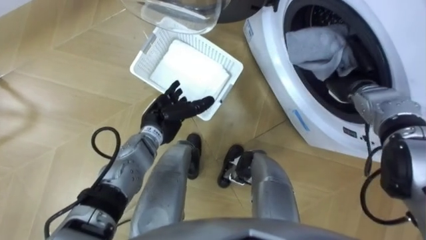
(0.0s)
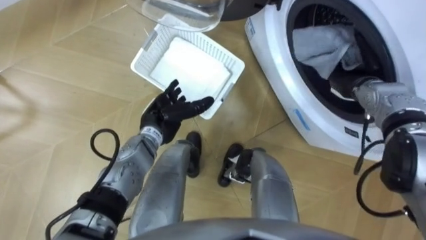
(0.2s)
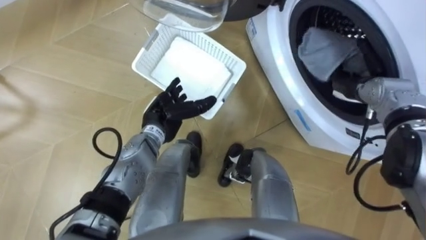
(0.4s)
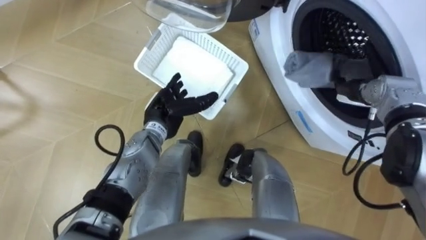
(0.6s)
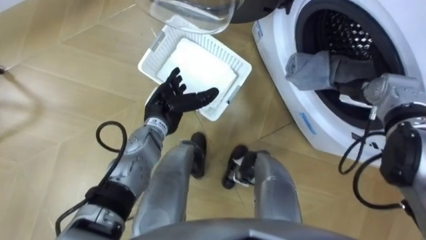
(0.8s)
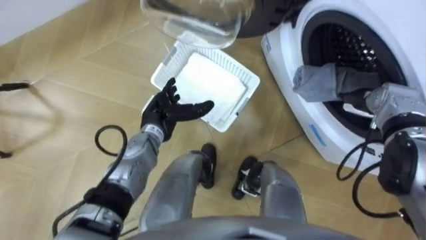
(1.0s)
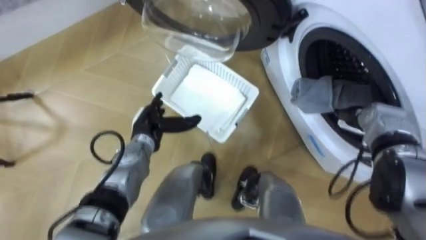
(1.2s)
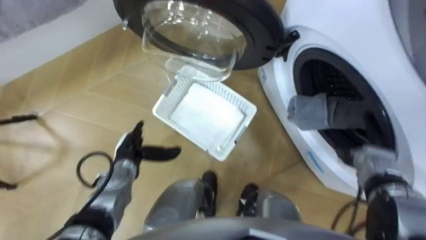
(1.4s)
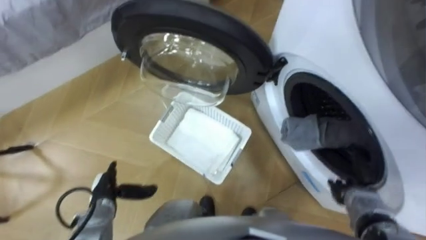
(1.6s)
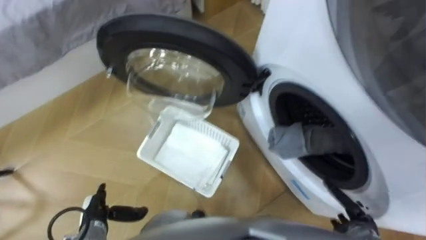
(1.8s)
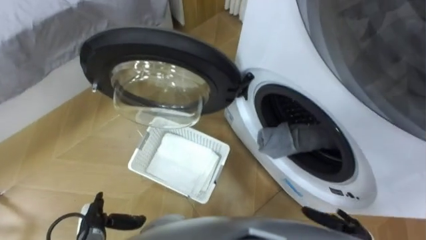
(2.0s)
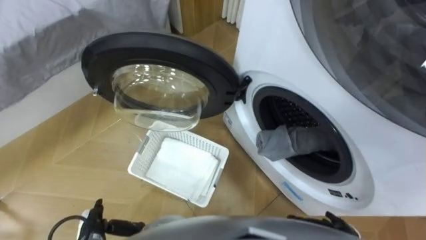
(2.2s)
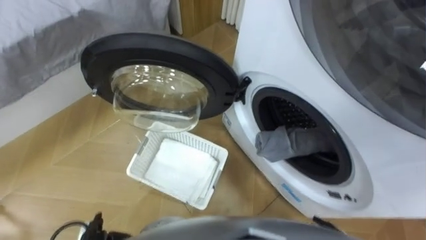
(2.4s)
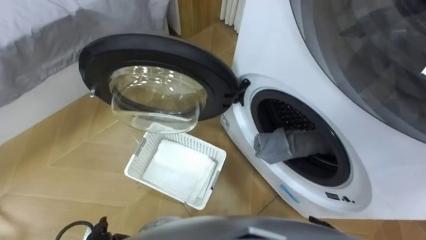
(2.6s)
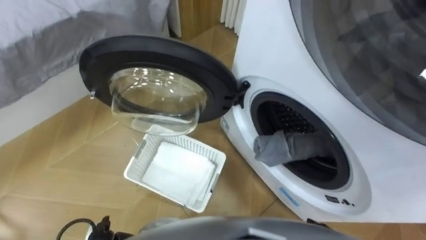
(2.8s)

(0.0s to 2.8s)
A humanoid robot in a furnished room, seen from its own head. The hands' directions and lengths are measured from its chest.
Task of the whole recording: Take the towel from the basket and put it into the washing machine.
0.0s - 1.4s: The left hand shifts roughly 10 cm to the left, backward and downward. The right hand moves backward and downward, approximately 15 cm, and opens its fingers.

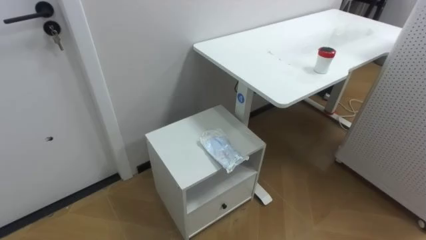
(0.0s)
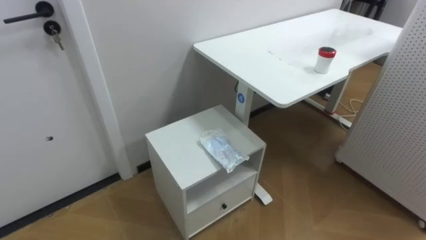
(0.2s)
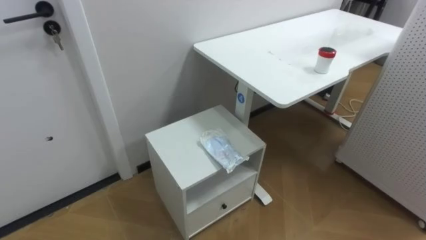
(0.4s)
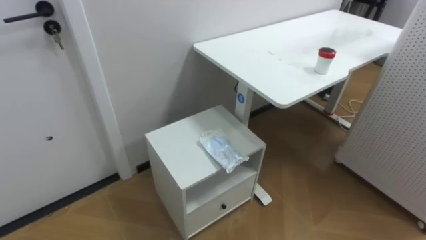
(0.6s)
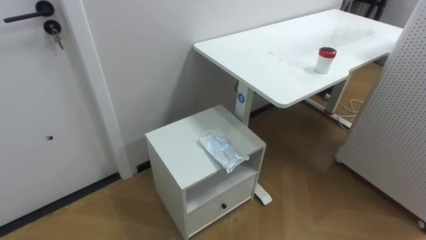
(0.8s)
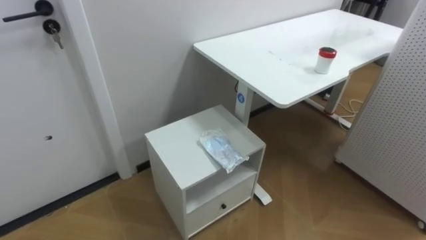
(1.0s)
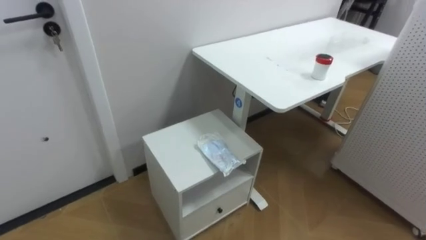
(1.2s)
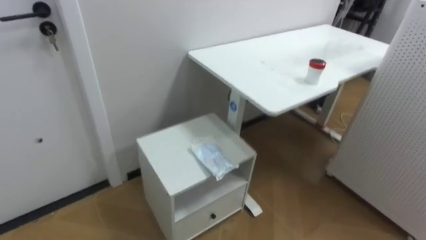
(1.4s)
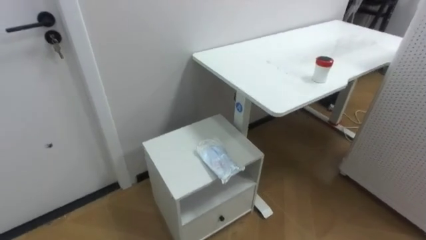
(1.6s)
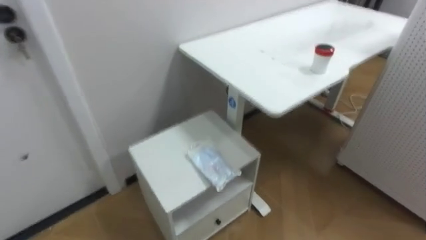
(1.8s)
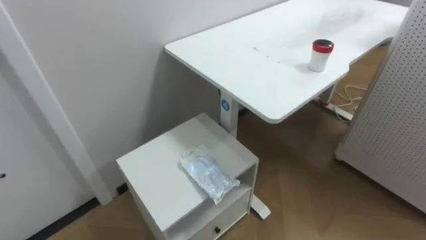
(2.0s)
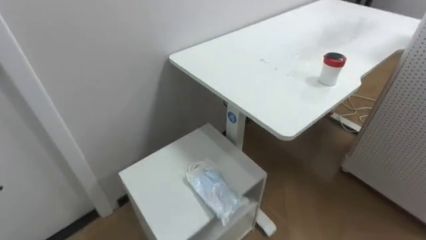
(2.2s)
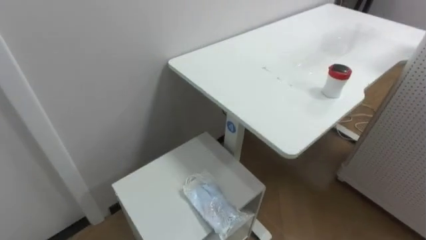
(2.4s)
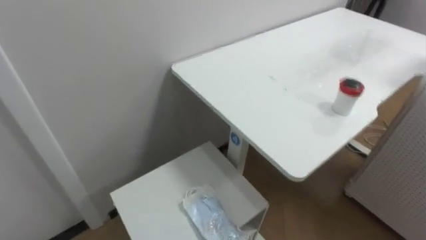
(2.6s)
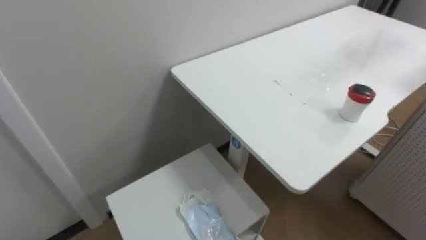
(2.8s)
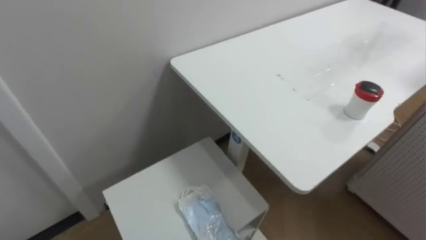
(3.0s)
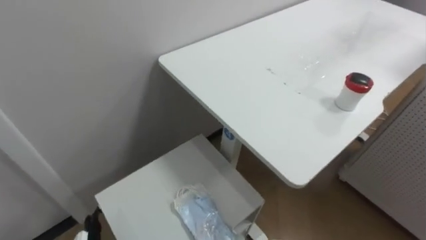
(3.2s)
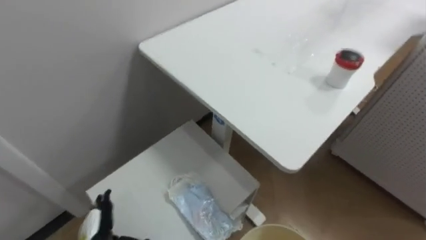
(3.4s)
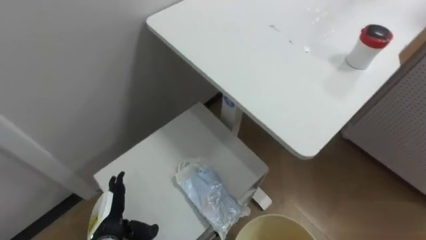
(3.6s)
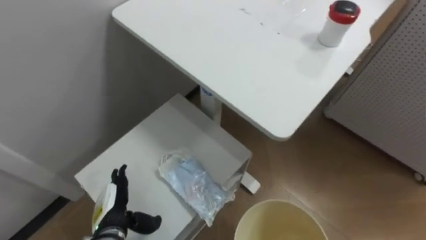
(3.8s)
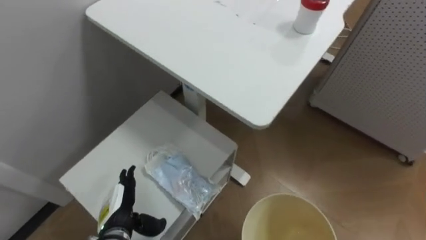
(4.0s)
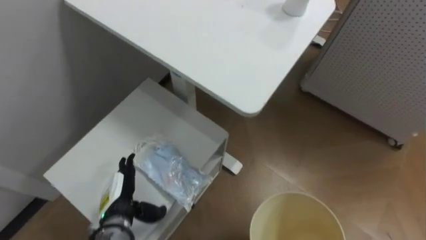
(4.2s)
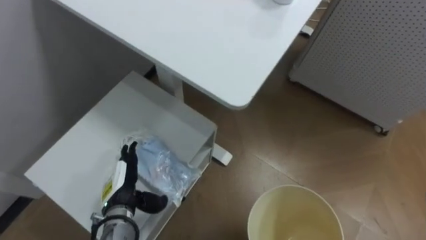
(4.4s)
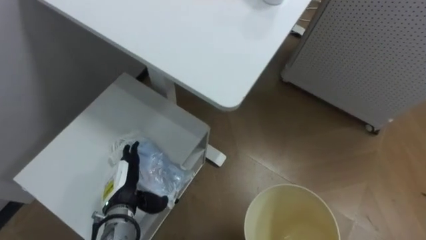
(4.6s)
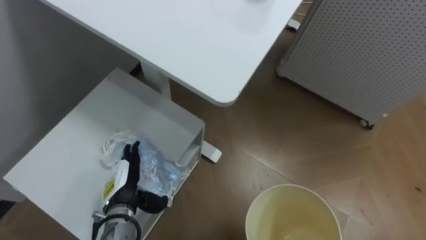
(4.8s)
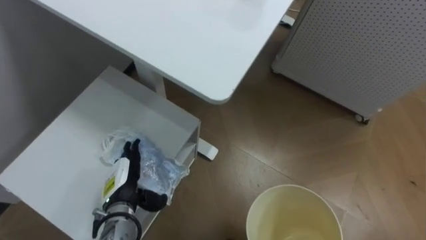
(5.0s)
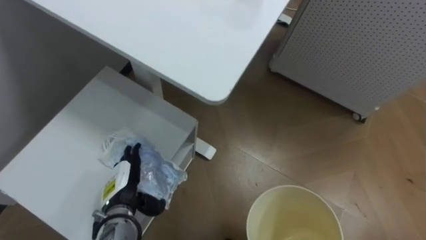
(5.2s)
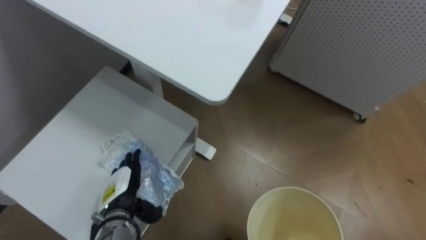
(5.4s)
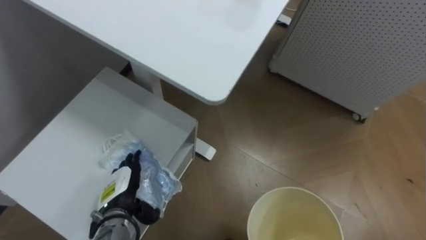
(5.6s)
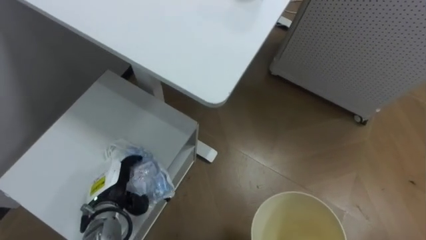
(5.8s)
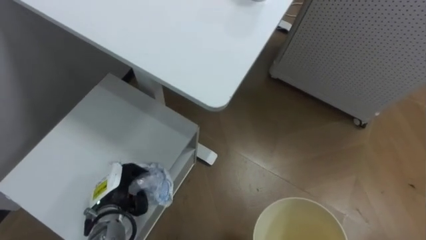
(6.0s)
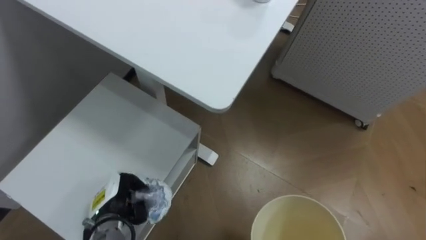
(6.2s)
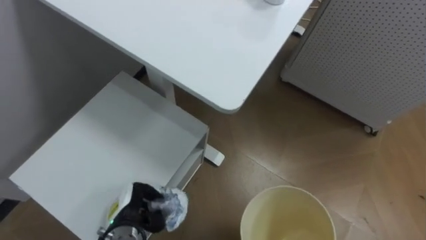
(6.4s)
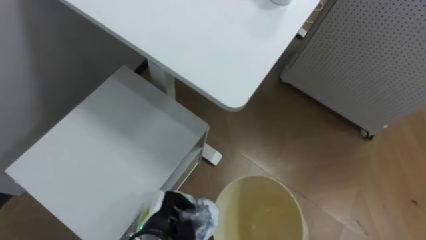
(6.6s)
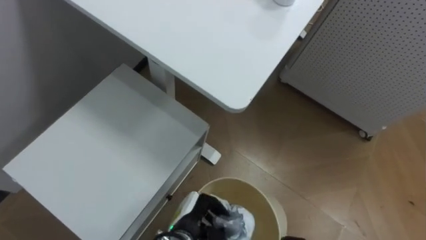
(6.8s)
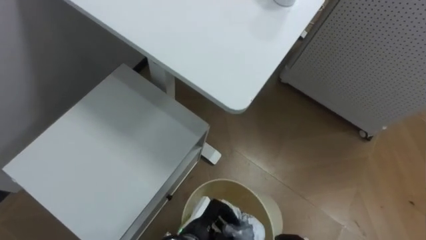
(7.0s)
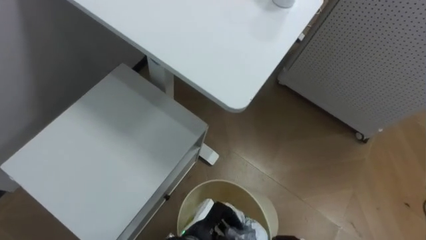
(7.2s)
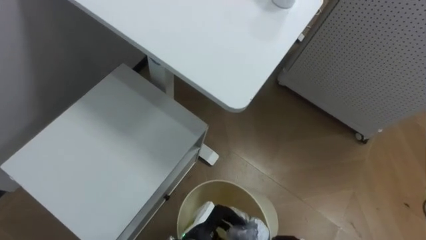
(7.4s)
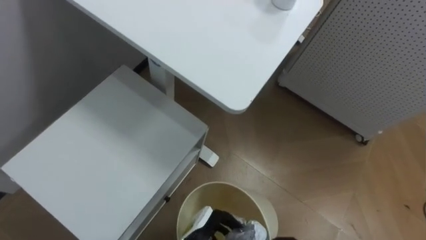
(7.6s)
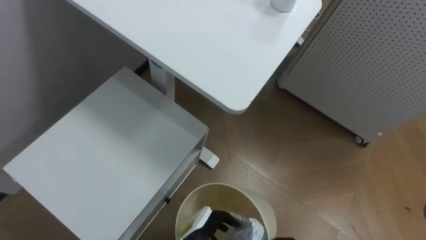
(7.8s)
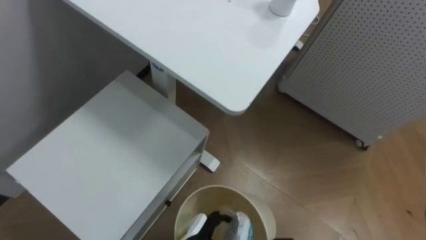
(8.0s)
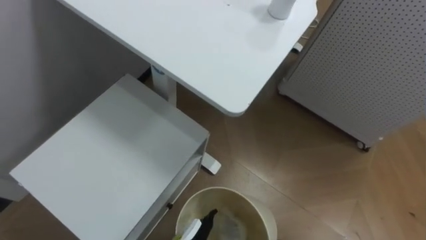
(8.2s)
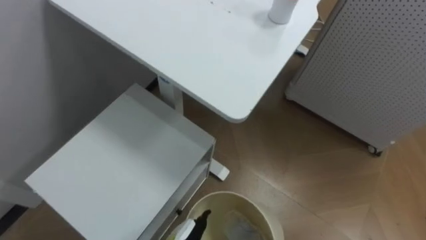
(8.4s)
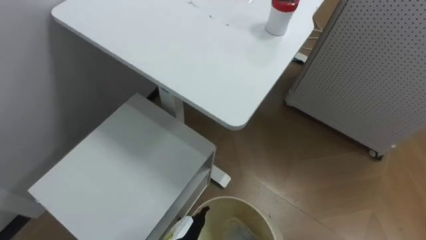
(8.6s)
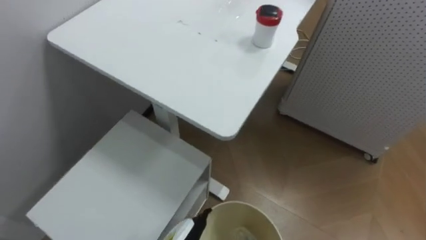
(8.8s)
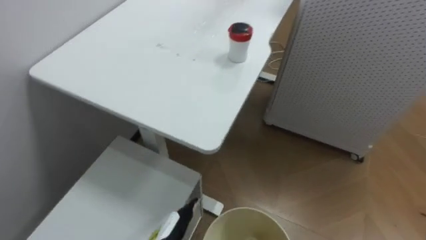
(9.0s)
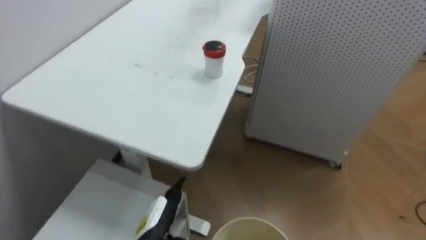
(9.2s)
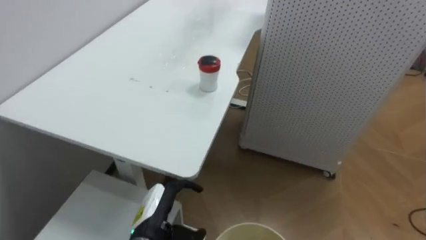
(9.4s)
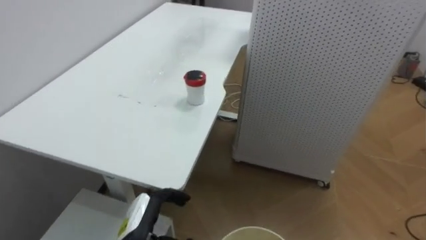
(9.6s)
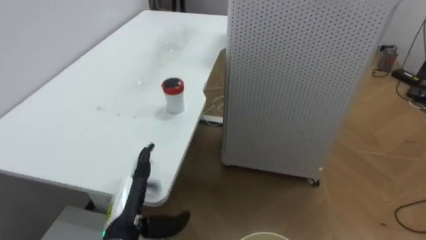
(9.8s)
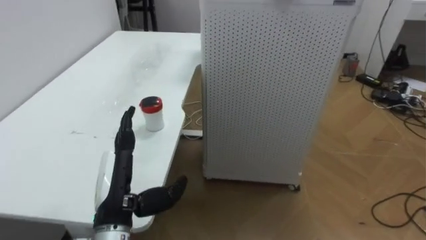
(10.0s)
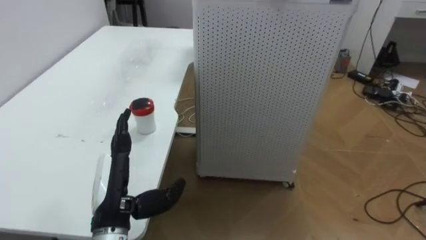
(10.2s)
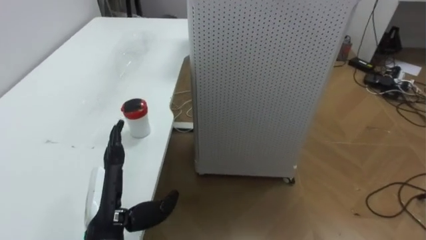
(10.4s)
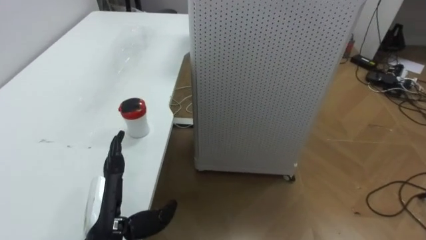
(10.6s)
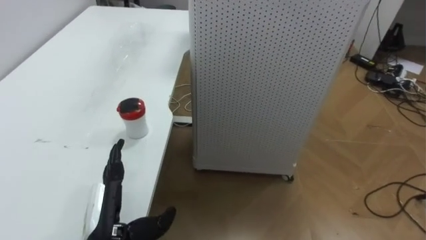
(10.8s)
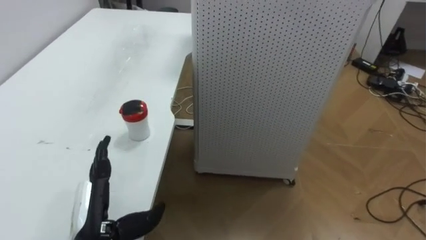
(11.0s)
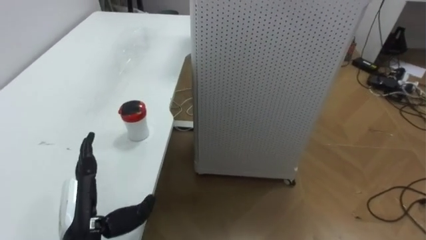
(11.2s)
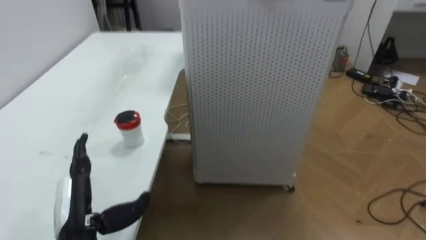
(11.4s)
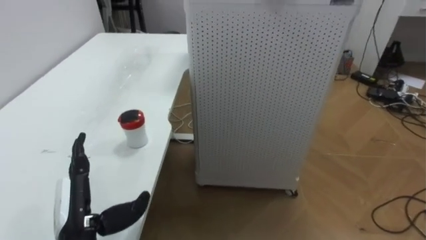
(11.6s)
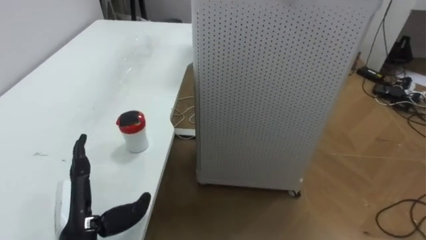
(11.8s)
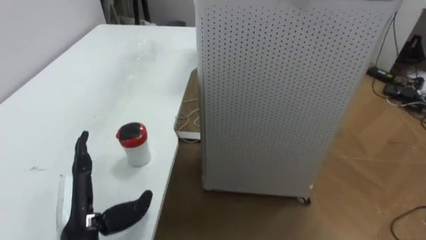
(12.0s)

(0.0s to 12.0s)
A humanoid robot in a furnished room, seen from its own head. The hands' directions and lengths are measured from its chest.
Task of the whole recording: Pick up the light blue package, the candy box, and the dark blue package separately, and put them into the trash can held in your right hand.
4.4s - 6.0s: The left hand closes its fingers.
6.0s - 7.6s: The left hand heads to the right, covering about 20 cm.
9.0s - 10.4s: The robot's body swings some 30 degrees to its right. The left hand is displaced upward and to the left by some 20 cm.
10.4s - 12.0s: The left hand ends up approximately 5 cm from where it was.

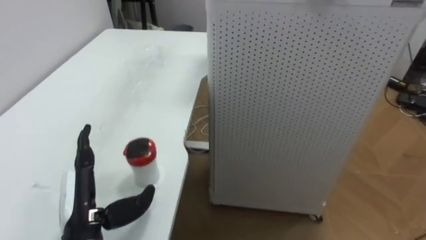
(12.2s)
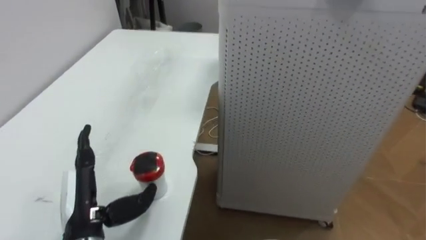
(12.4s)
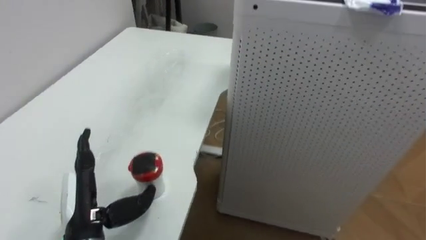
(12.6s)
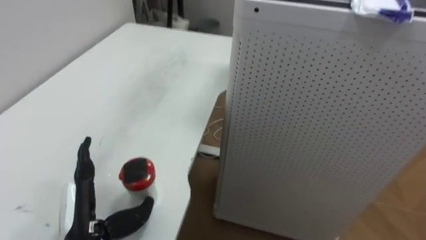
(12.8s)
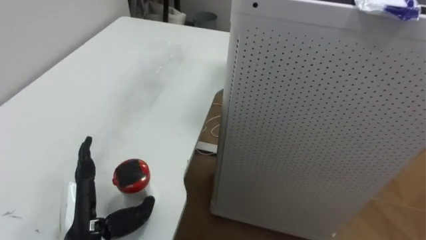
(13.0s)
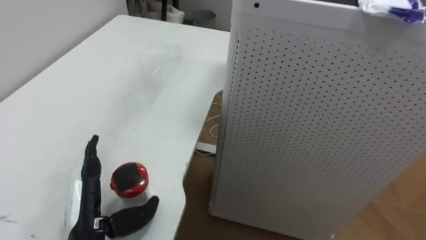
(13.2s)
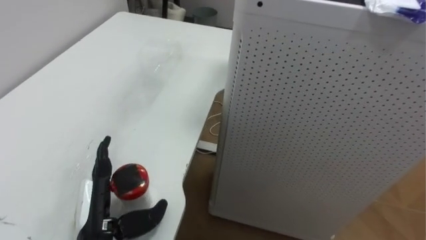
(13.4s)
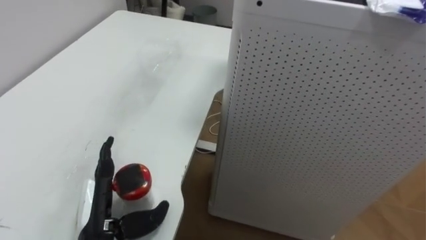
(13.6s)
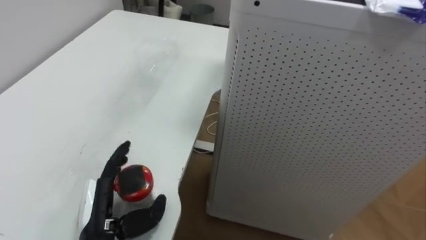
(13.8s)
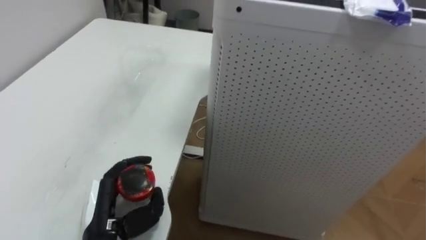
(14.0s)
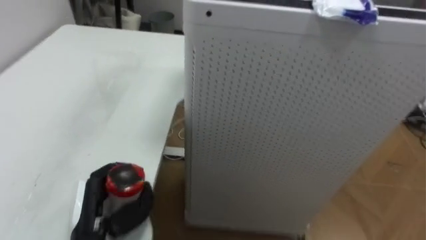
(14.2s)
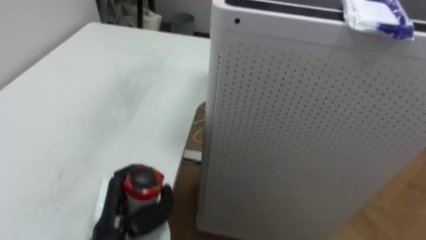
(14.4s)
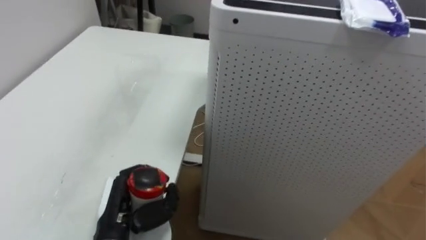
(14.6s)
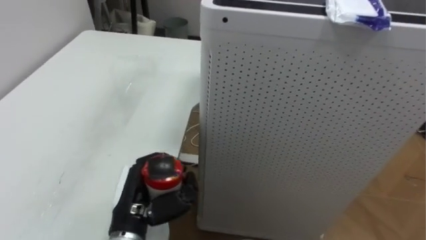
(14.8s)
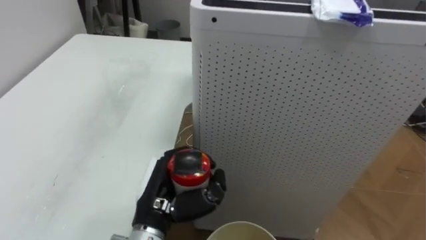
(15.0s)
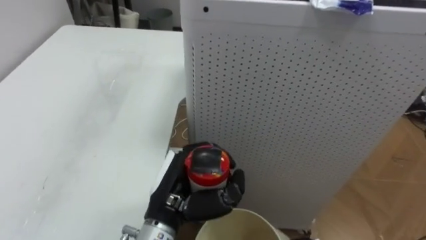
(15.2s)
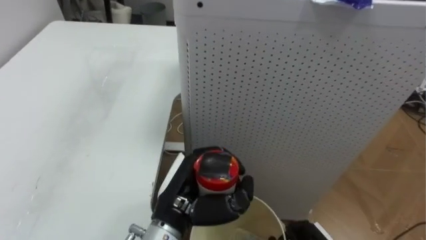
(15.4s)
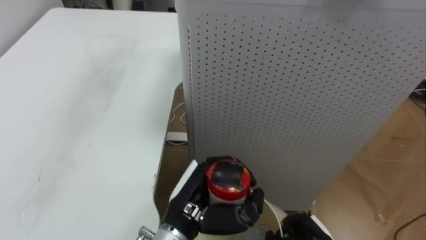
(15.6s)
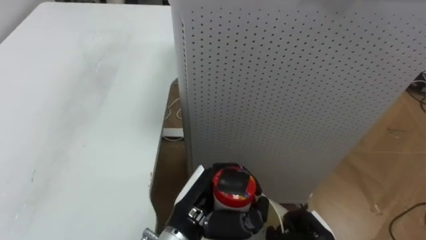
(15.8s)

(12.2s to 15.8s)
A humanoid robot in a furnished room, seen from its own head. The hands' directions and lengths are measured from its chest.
Task of the whole recording: Pick up the light blue package, the candy box, and the dark blue package separately, and put them into the trash can held in your right hand.
12.2s - 14.0s: The left hand closes up.
14.0s - 15.8s: The left hand heads to the right, covering approximately 15 cm, and closes up.
